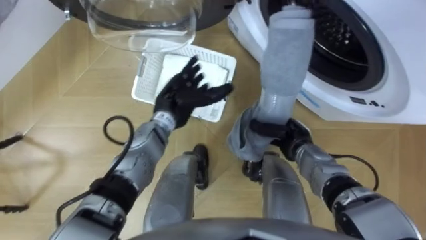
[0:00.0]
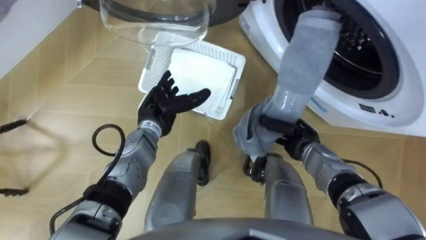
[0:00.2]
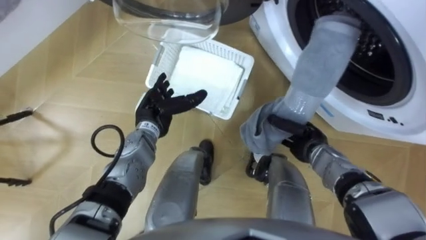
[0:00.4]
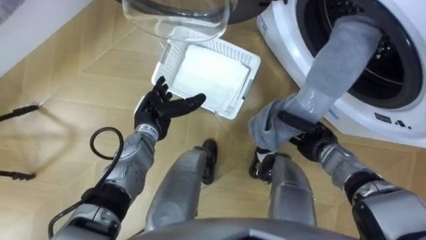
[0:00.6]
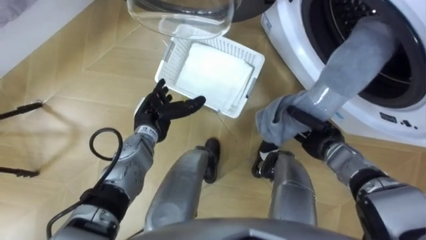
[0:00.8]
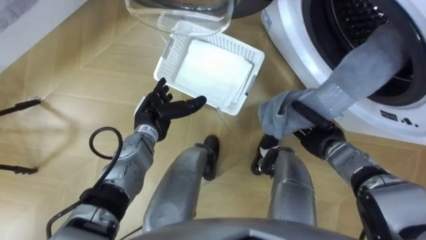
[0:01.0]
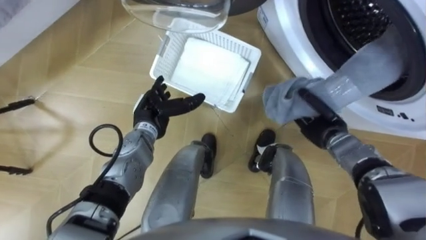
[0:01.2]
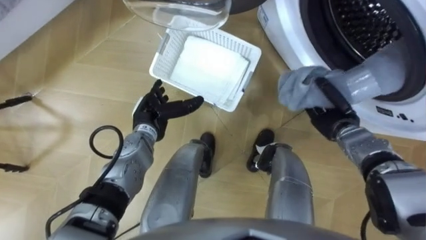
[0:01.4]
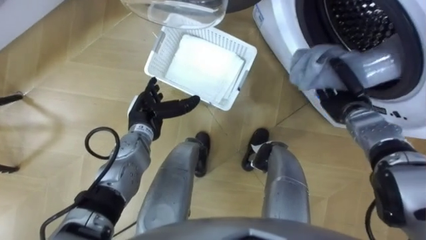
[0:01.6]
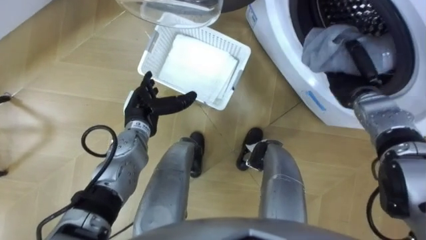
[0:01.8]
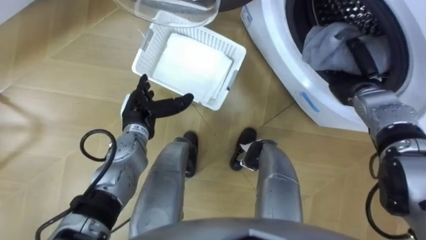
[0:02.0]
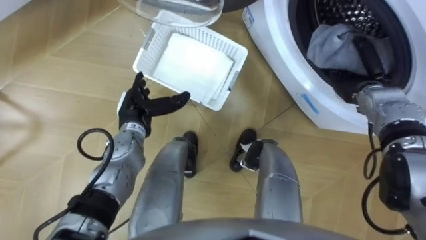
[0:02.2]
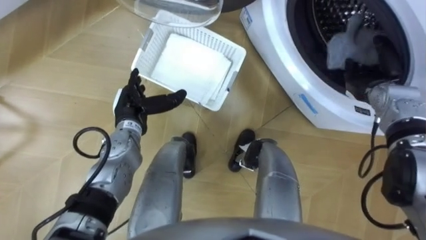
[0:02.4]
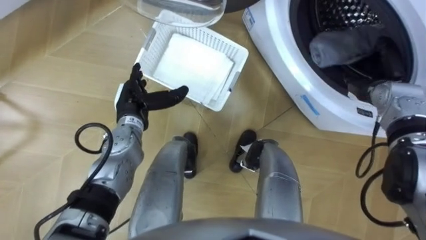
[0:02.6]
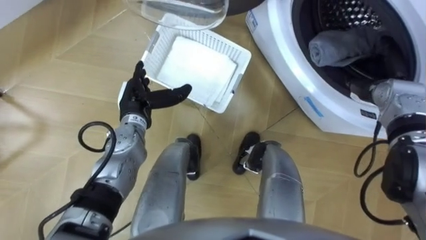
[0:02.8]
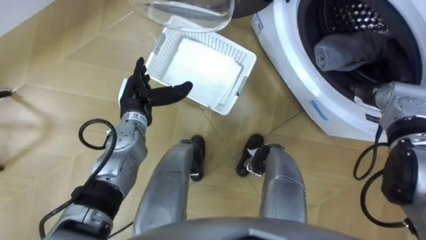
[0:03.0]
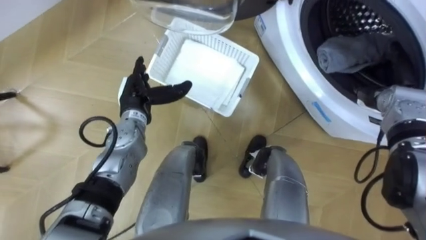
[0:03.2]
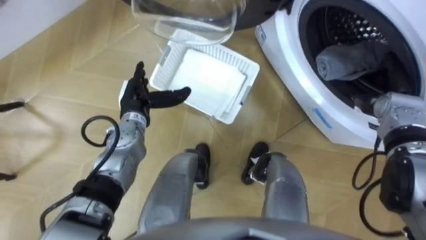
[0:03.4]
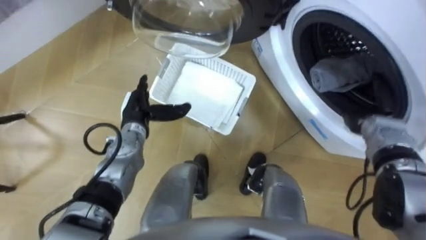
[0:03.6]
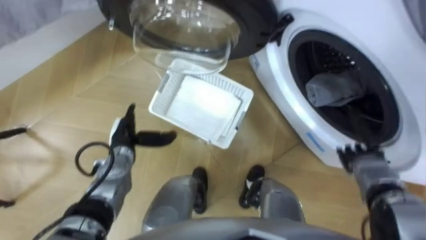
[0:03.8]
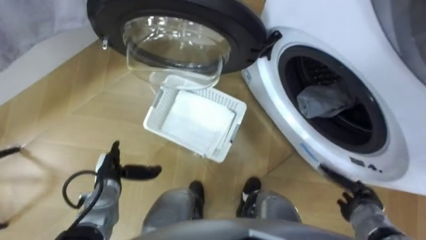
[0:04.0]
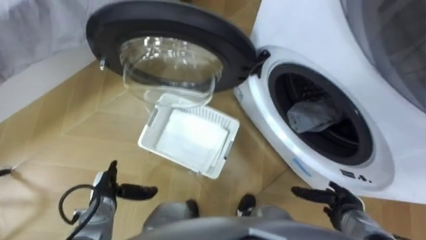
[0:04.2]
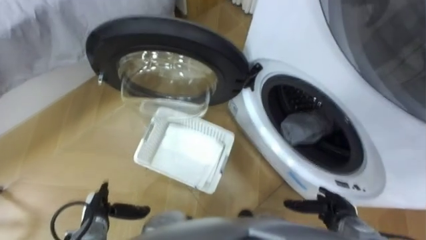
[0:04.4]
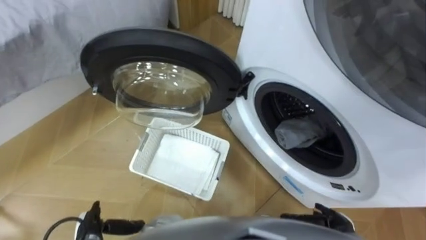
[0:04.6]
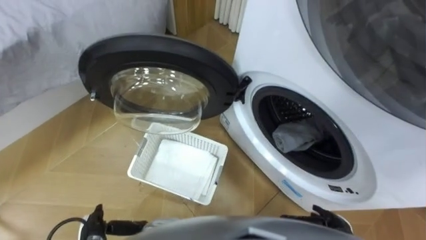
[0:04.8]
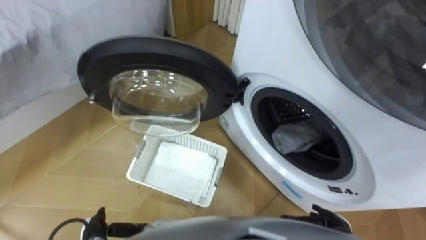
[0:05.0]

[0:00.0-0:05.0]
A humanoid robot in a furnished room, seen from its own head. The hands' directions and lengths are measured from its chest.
Task of the whole recording: Take the towel from the basket and put it into the washing machine.
0:00.0 to 0:01.6: The right hand shifts some 15 cm to the right, forward and upward, while the left hand is displaced to the left by some 5 cm.
0:01.6 to 0:03.4: The right hand goes about 5 cm to the right, and opens its fingers.
0:03.4 to 0:05.0: Both hands move backward and downward, roughly 30 cm.

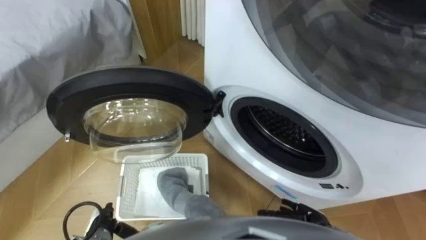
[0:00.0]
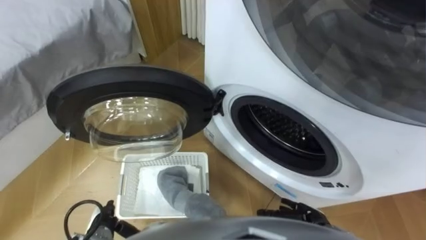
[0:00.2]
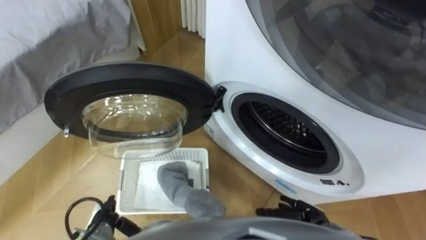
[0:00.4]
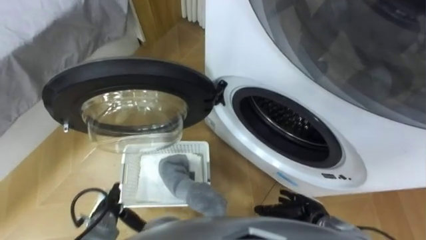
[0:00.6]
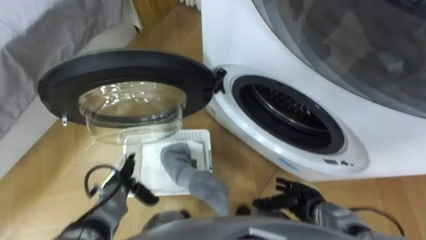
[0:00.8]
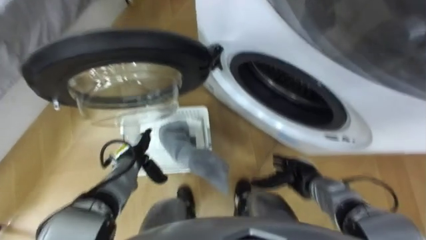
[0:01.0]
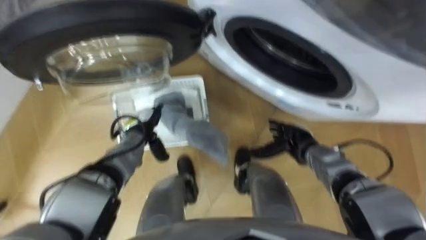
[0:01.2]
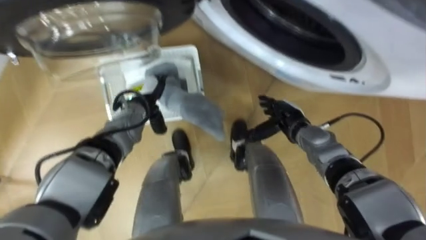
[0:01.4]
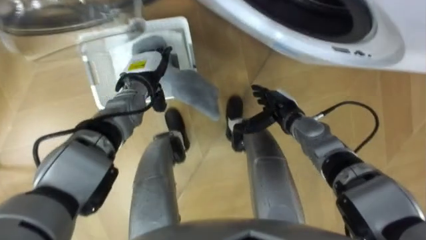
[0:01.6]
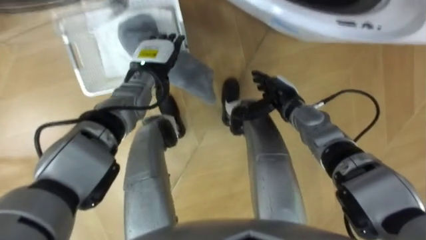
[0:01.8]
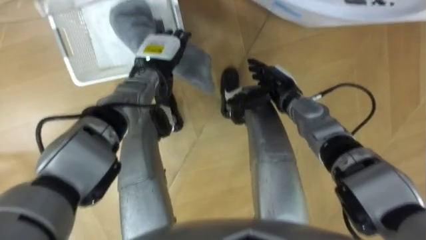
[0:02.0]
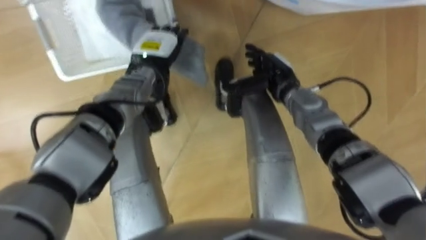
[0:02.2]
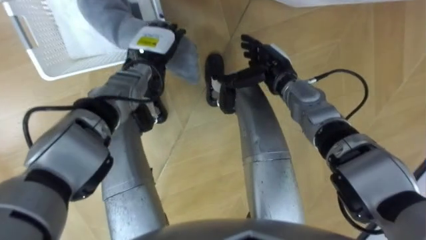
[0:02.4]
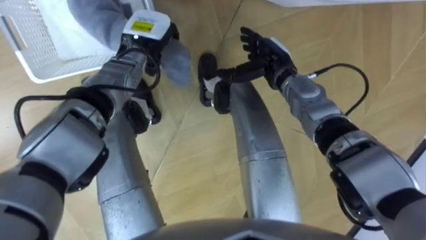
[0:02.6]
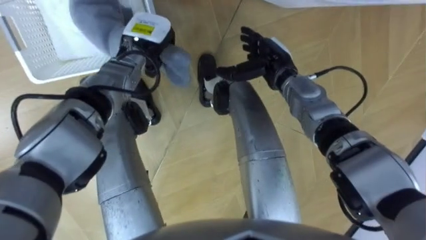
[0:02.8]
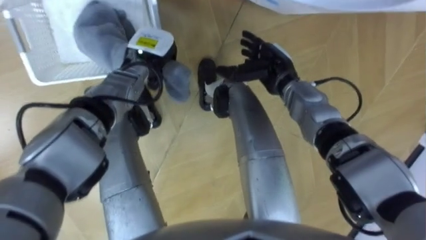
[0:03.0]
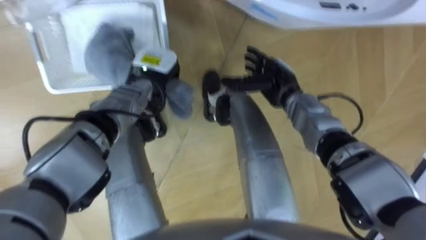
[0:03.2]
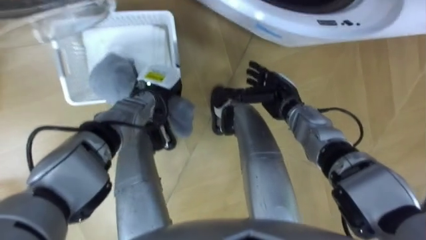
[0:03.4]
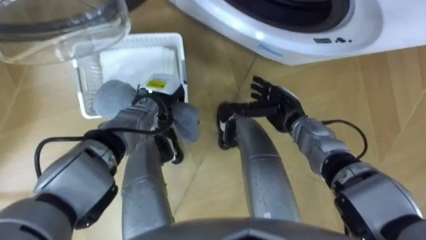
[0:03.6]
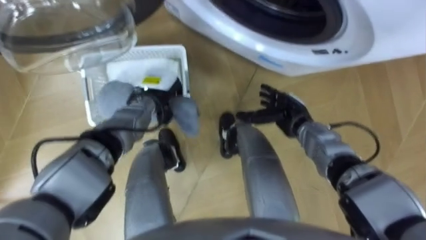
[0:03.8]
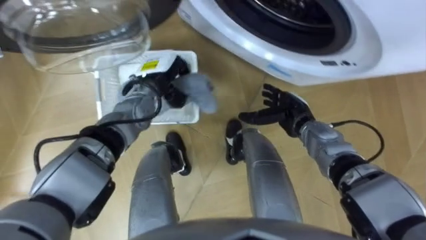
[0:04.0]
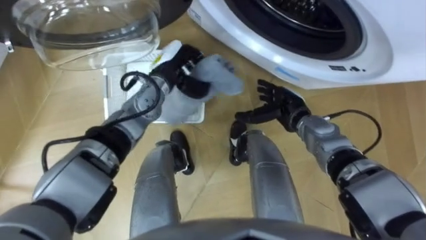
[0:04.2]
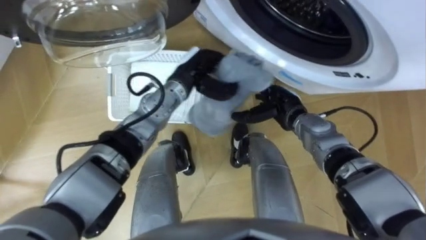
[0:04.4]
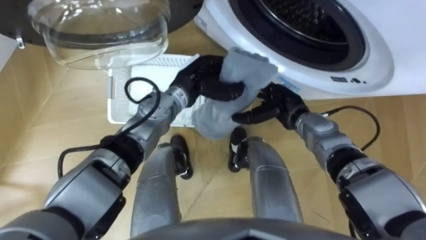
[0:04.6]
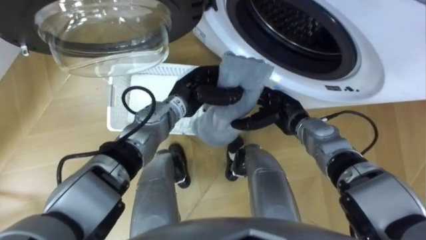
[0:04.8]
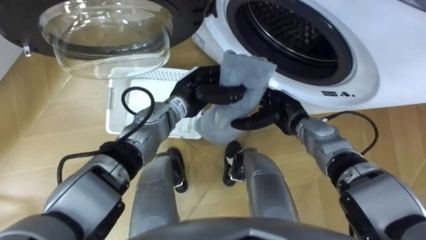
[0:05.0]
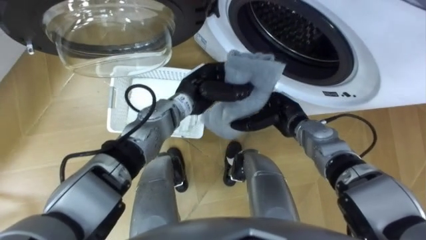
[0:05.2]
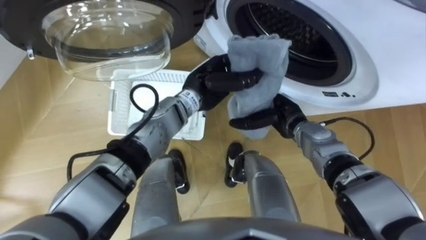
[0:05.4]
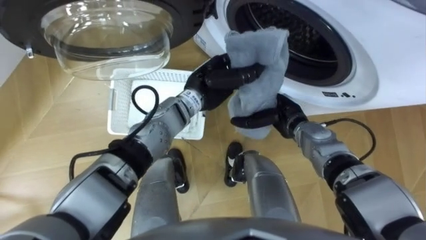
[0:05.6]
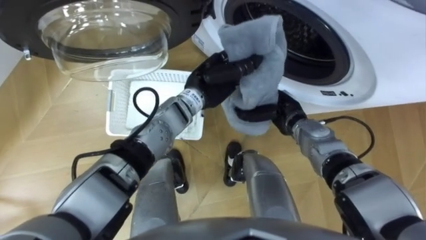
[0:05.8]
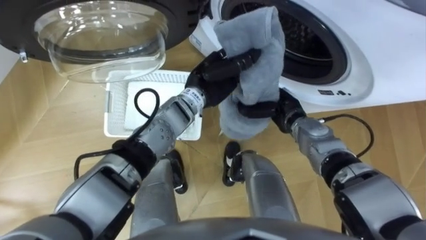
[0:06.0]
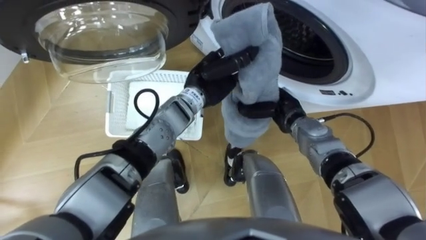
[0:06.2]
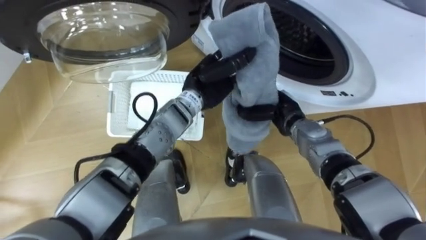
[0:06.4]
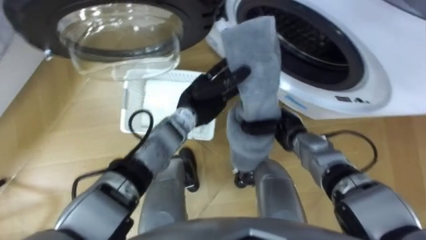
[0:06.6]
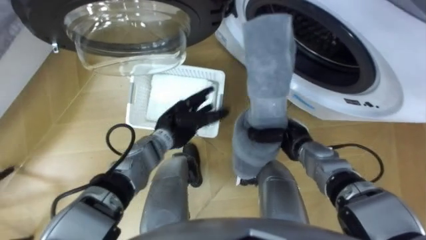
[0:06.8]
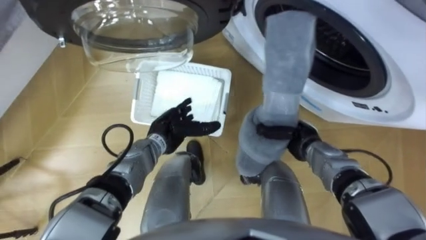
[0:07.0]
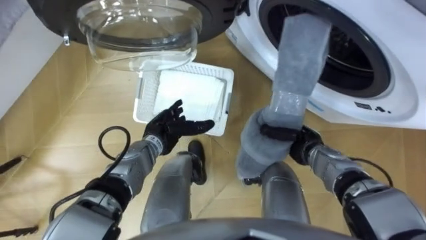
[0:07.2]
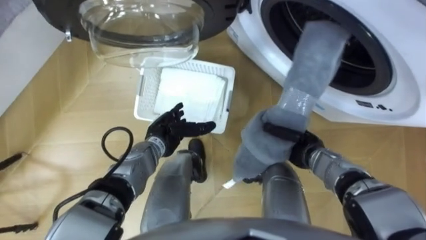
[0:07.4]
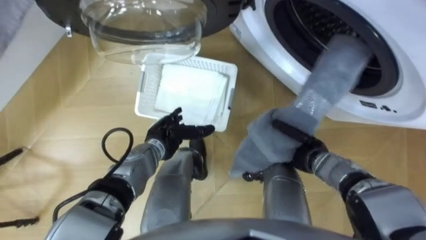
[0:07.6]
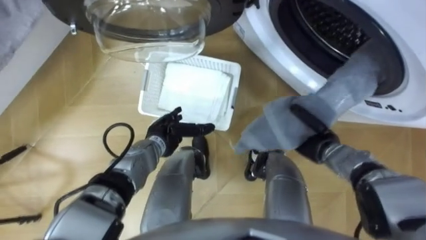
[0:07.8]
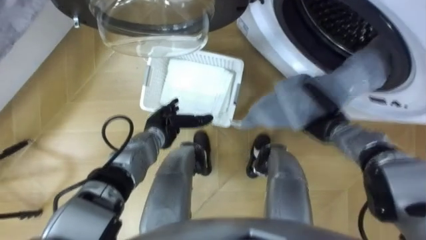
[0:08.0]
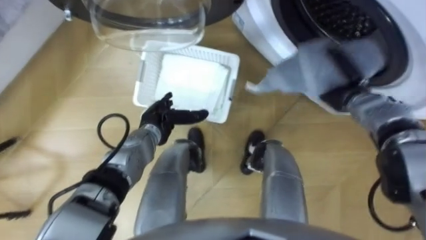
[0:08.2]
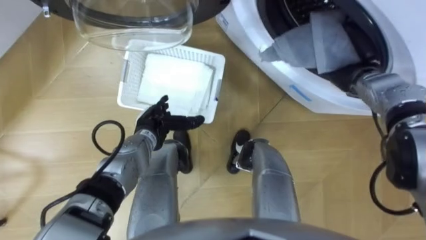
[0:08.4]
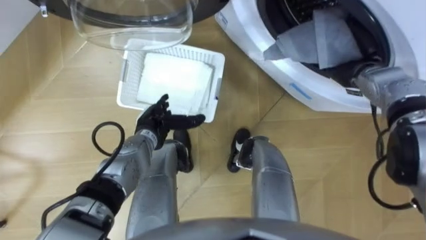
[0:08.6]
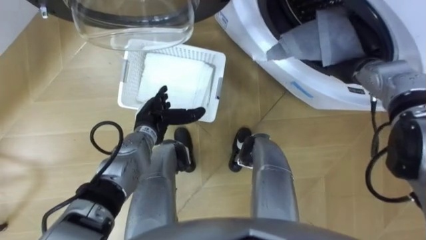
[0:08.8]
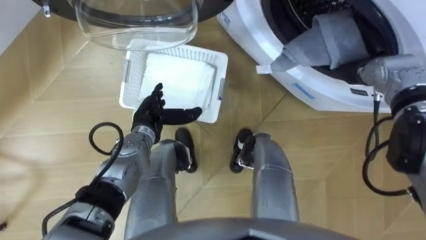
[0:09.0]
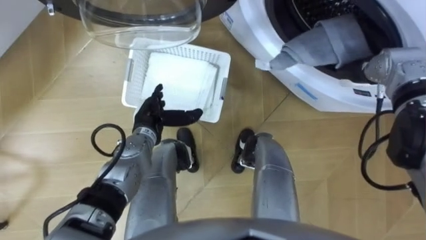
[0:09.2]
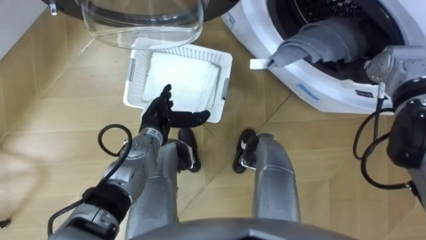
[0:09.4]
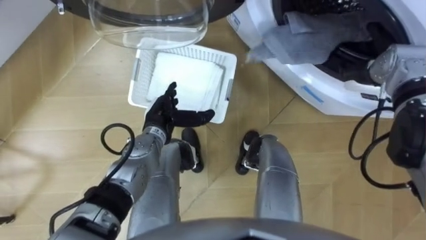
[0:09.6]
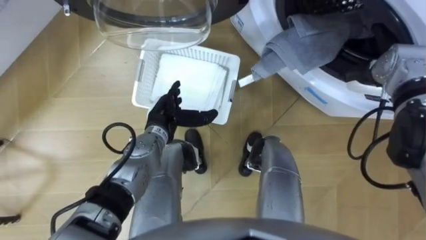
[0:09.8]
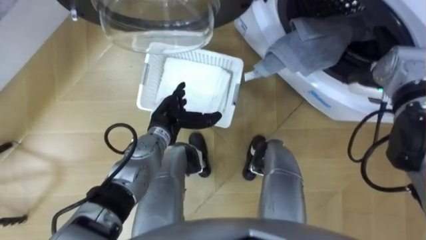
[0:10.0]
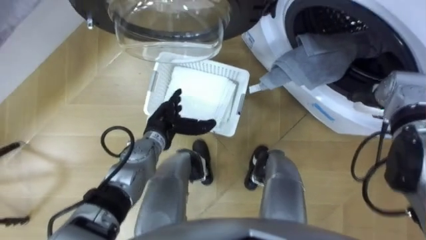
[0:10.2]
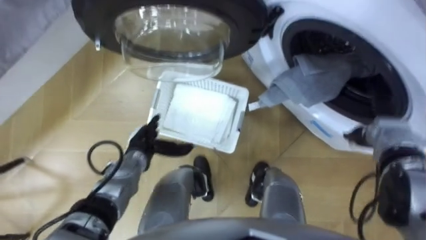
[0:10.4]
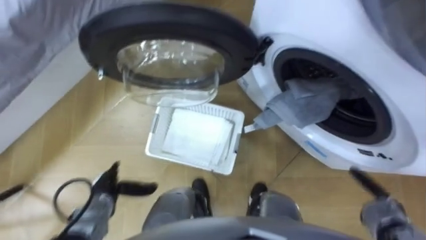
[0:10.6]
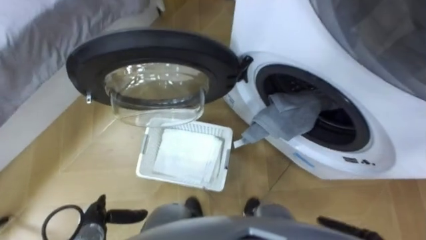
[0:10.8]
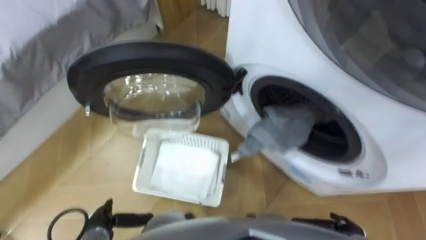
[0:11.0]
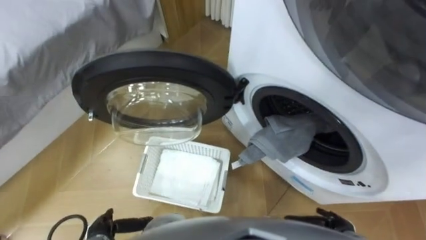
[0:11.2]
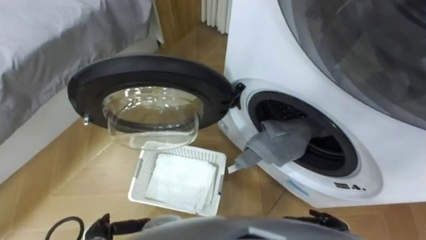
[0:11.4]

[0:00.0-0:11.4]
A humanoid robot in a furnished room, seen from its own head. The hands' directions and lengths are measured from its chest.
Task of the whole recording: Take the towel from the basket and put it into the washing machine.
0:01.4 to 0:02.8: The right hand moves upward, forward and to the left, roughly 15 cm. Meanwhile the left hand moves upward and forward, roughly 15 cm, and closes.
0:02.8 to 0:04.2: The left hand reaches about 10 cm downward, then returns, while the right hand heads downward and backward, covering some 10 cm.
0:04.2 to 0:05.6: The left hand goes roughly 10 cm to the right.
0:05.6 to 0:07.2: The right hand shifts about 5 cm to the right and backward, and closes; the left hand goes roughly 15 cm downward, to the left and backward, and opens.
0:07.2 to 0:08.6: The right hand shifts about 20 cm forward, upward and to the right.
0:08.6 to 0:10.0: The right hand opens.
0:10.0 to 0:11.4: The left hand travels backward, to the left and downward by about 30 cm.
